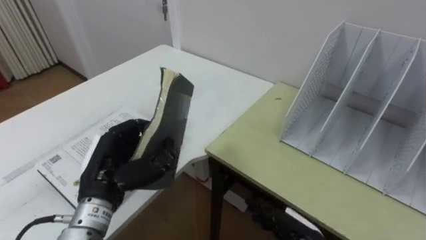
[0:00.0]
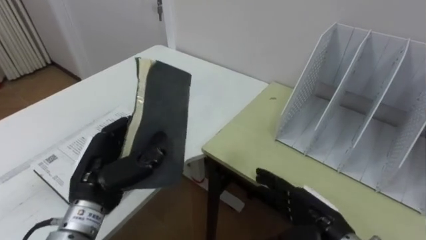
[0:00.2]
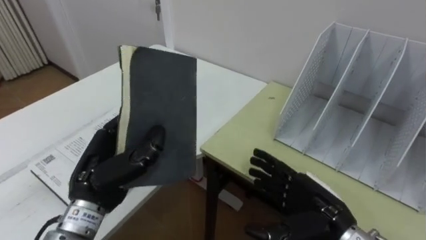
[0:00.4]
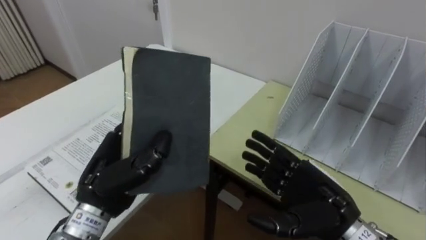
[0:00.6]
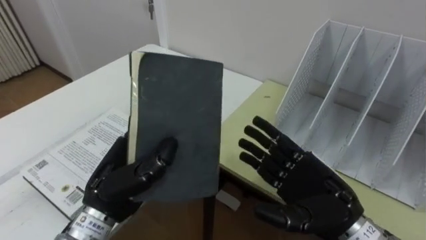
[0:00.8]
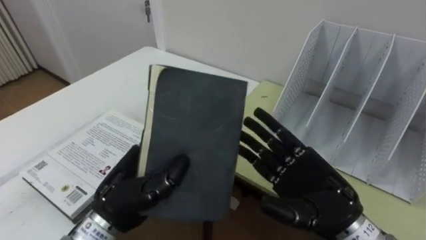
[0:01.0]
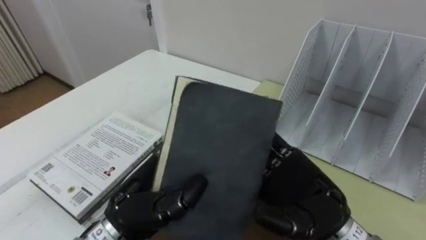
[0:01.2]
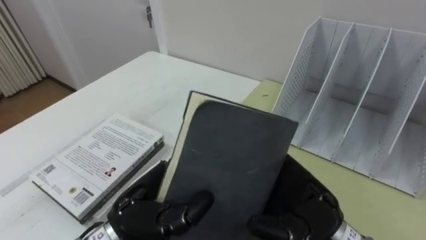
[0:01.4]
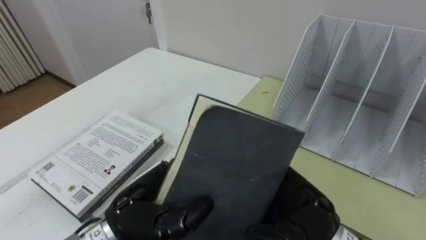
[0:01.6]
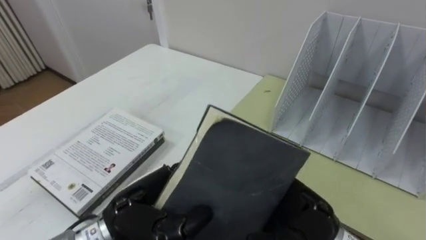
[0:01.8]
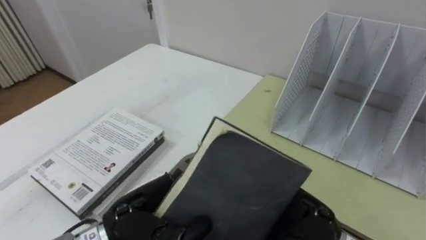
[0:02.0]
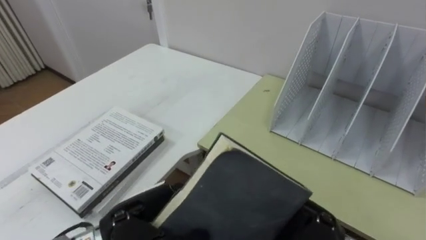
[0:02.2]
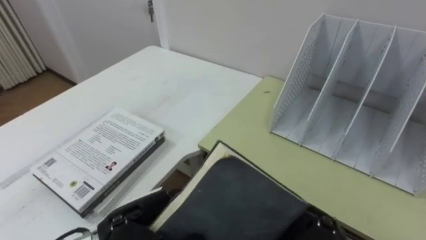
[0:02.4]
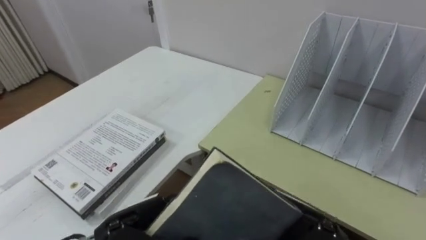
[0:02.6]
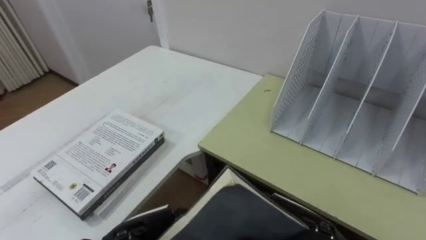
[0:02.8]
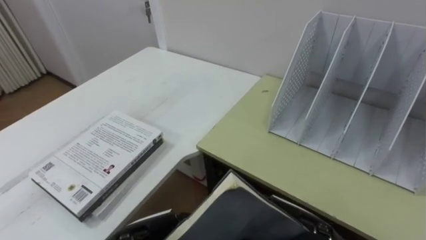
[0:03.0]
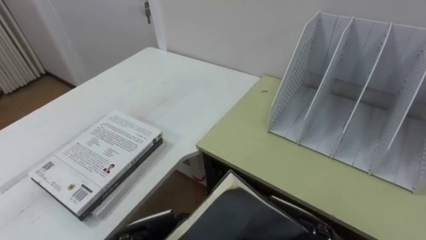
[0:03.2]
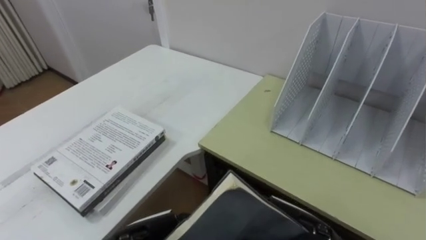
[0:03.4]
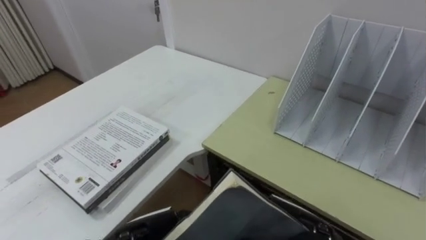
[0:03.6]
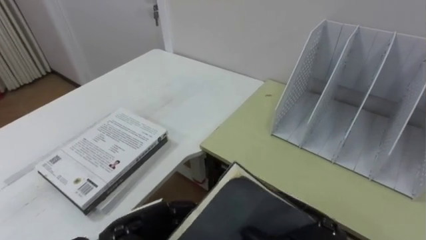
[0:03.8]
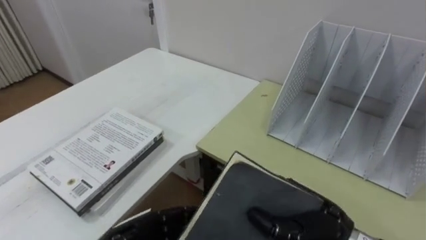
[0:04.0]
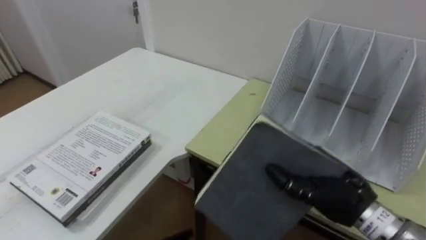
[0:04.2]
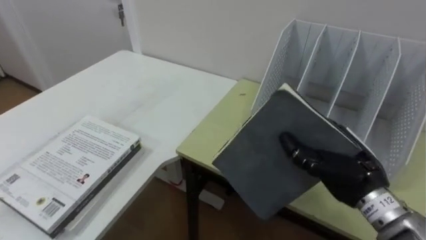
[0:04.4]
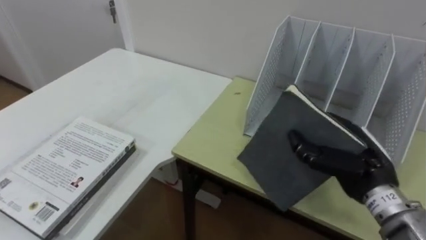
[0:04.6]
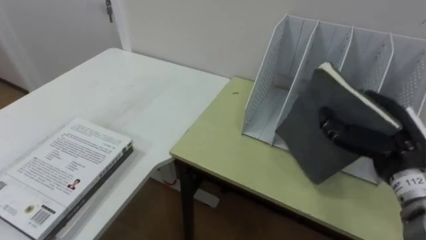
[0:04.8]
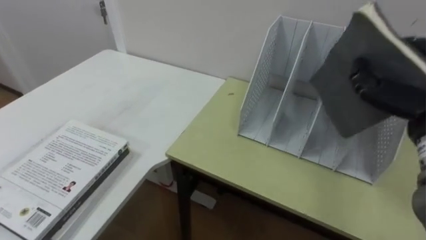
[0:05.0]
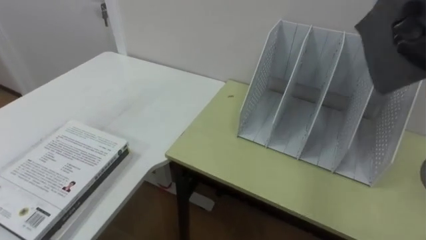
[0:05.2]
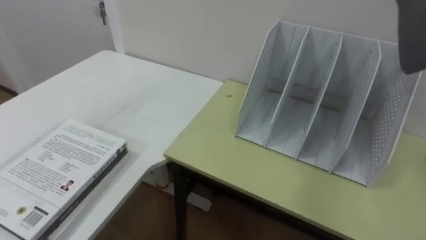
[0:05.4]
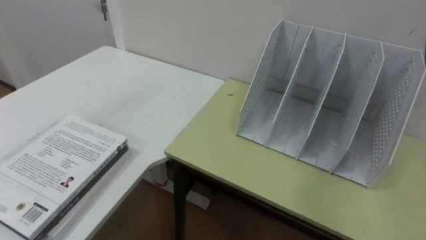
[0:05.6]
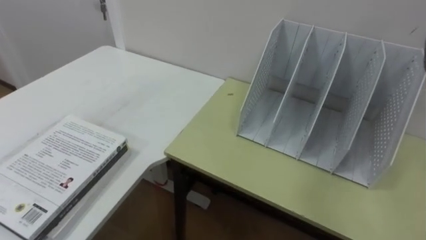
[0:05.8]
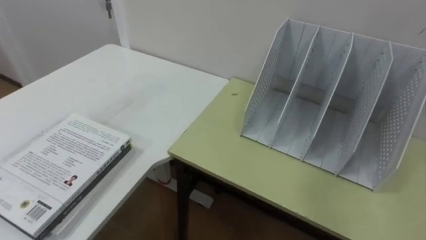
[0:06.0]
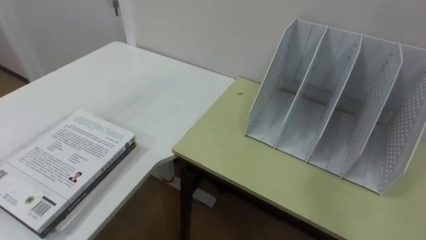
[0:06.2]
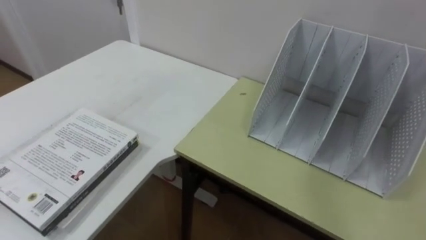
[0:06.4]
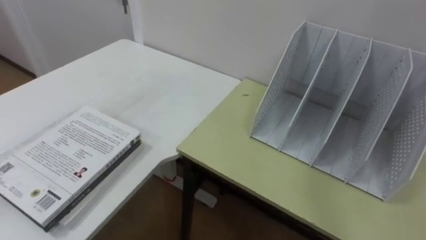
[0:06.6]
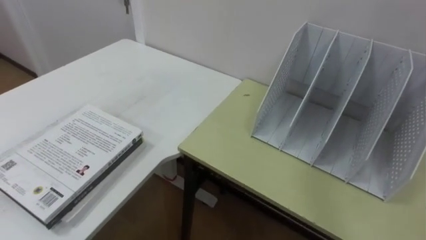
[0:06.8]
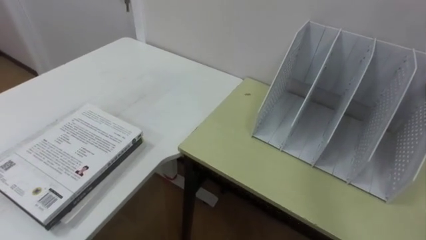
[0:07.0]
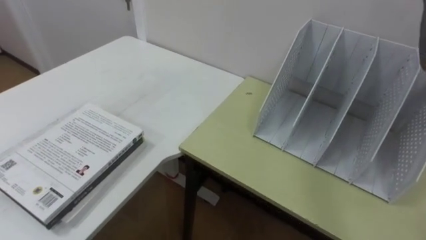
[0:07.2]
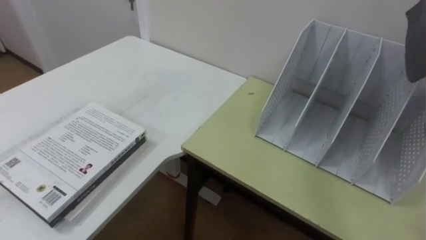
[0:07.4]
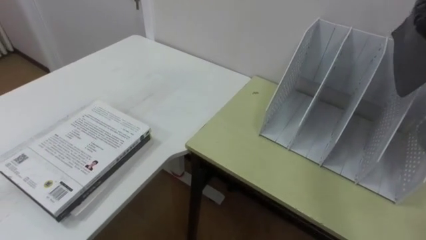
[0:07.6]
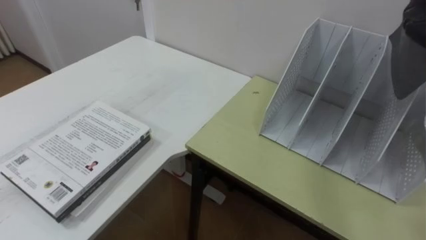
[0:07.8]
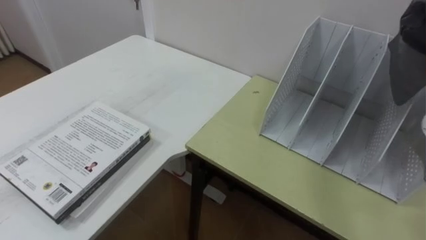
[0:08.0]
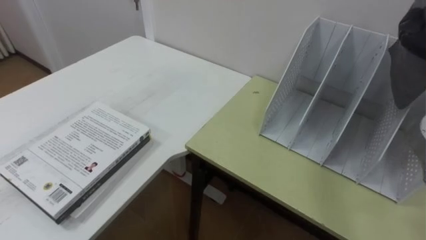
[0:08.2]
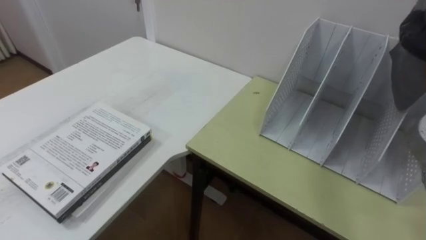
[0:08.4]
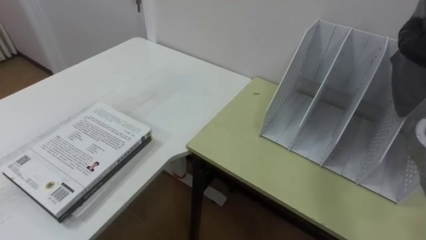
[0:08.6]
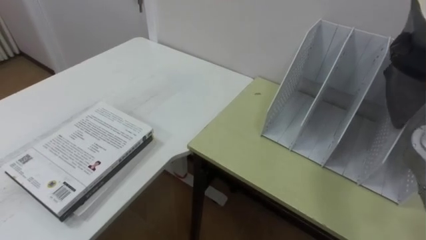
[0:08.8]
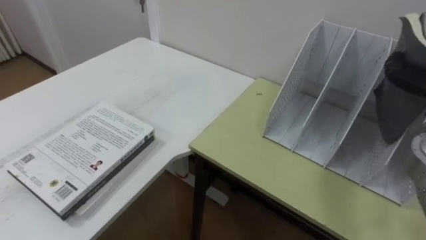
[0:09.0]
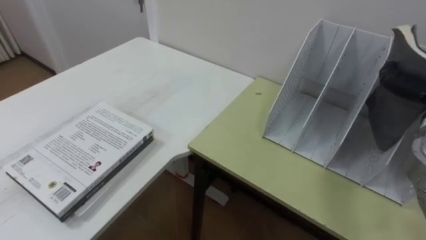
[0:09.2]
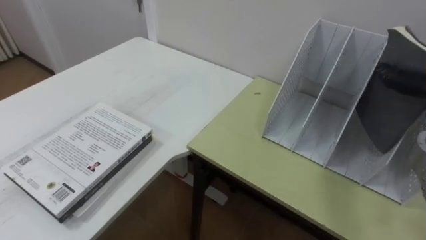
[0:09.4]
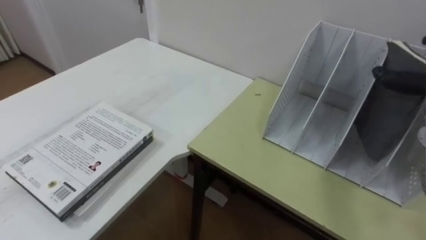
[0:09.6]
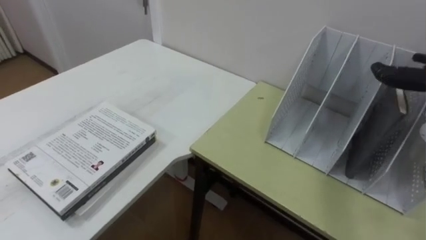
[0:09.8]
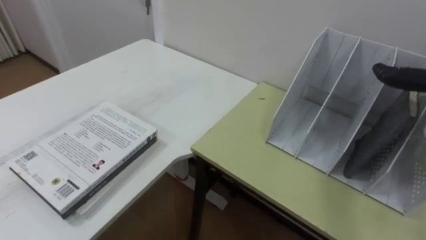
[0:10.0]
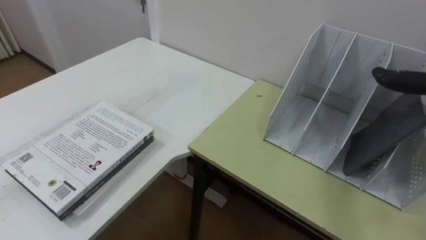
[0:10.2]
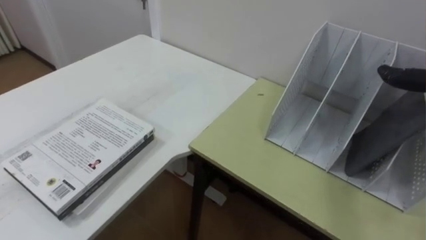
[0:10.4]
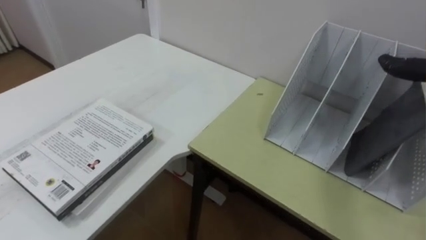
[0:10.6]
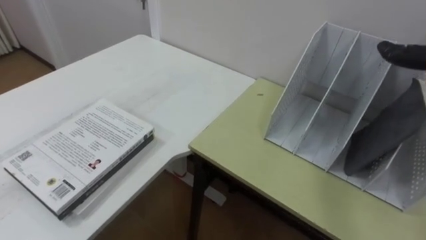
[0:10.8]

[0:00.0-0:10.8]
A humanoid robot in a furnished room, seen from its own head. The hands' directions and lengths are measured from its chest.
Task of the whole recording: Put the books on the table onto the bookshelf.
0:00.0 to 0:01.6: The right hand moves upward, approximately 15 cm. The left hand shifts roughly 10 cm to the right and backward.
0:01.6 to 0:03.0: The right hand changes place by about 5 cm, and closes up. The left hand heads downward, covering some 5 cm.
0:03.0 to 0:04.6: The right hand shifts approximately 15 cm to the right and forward.

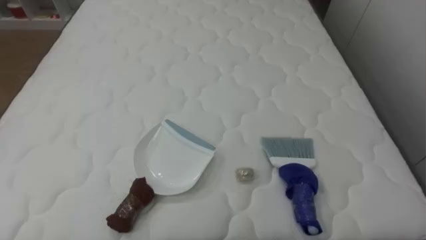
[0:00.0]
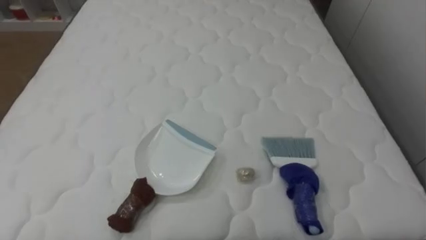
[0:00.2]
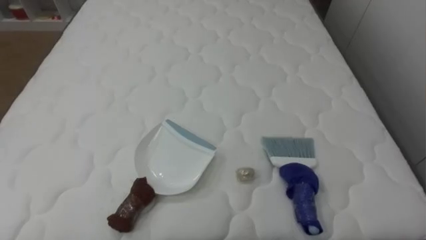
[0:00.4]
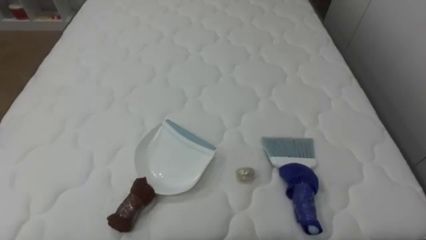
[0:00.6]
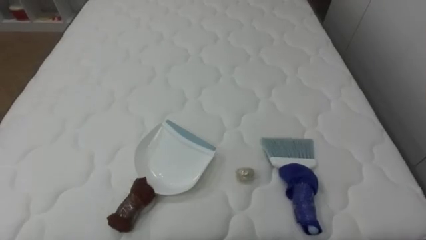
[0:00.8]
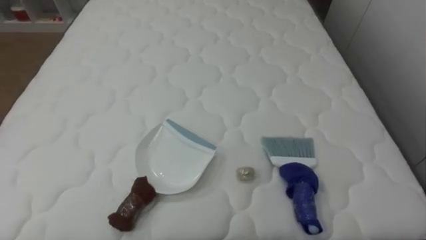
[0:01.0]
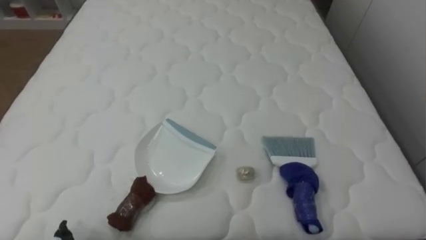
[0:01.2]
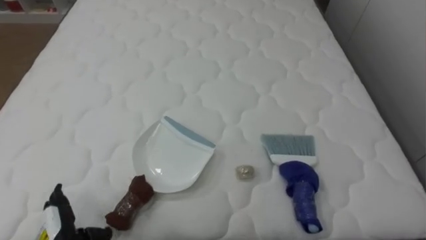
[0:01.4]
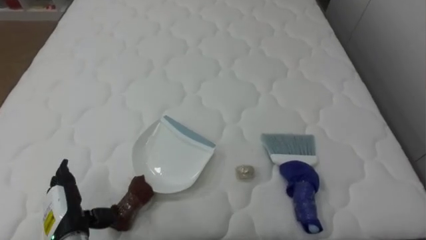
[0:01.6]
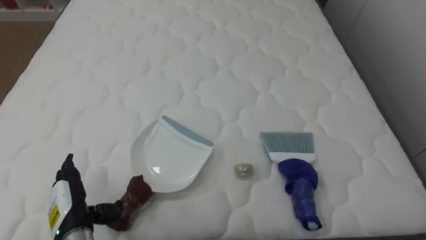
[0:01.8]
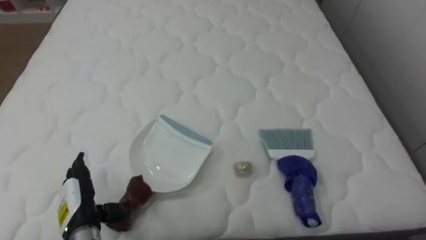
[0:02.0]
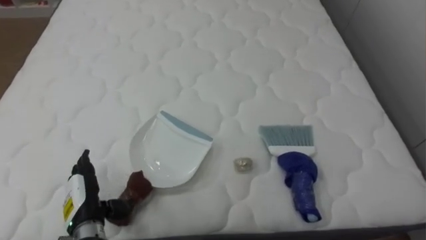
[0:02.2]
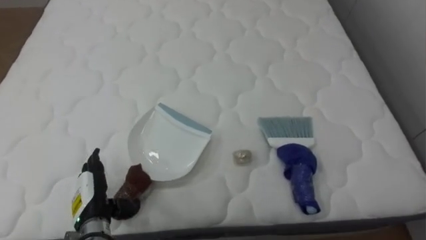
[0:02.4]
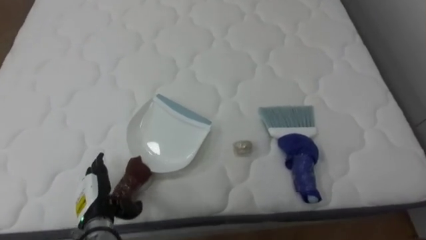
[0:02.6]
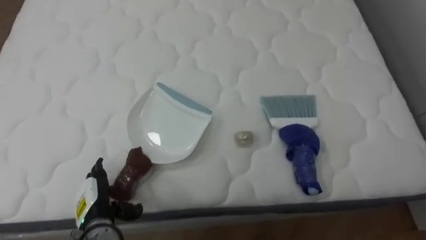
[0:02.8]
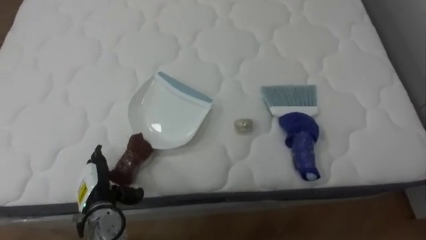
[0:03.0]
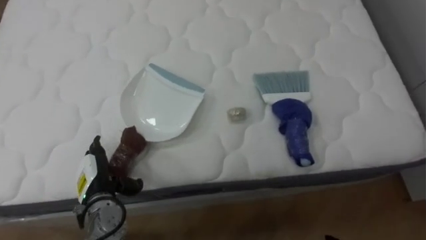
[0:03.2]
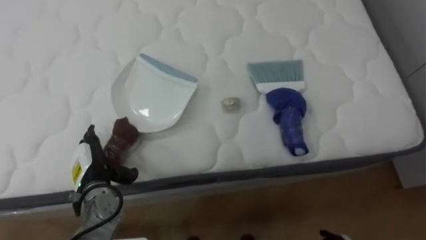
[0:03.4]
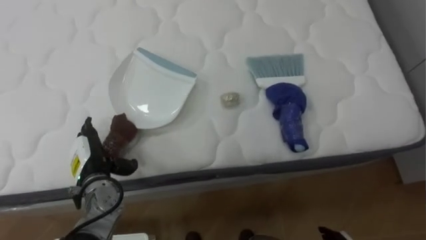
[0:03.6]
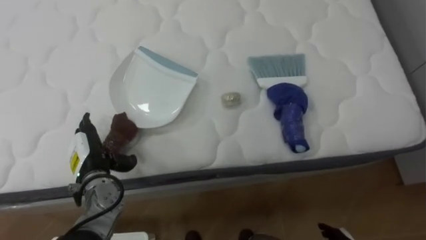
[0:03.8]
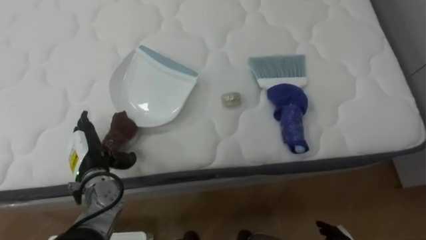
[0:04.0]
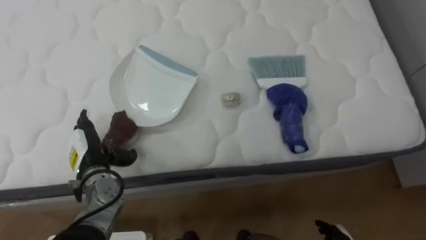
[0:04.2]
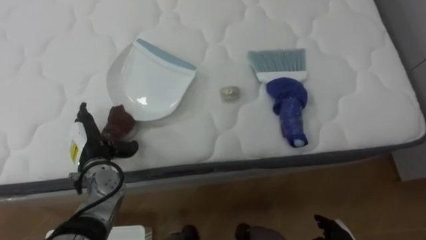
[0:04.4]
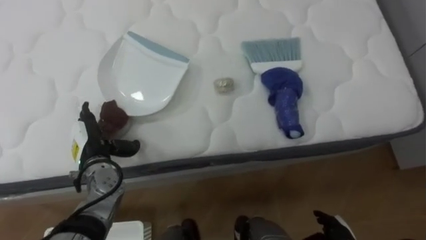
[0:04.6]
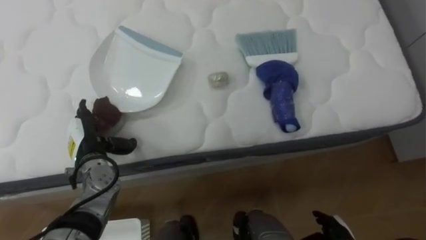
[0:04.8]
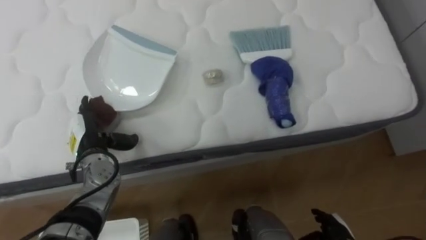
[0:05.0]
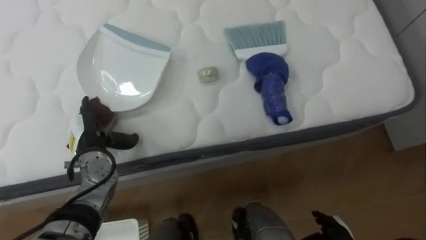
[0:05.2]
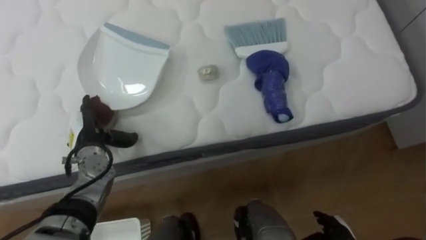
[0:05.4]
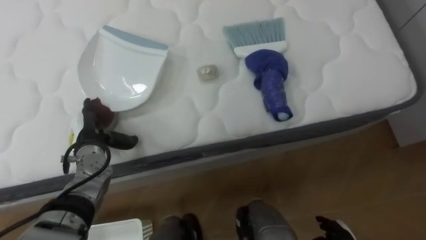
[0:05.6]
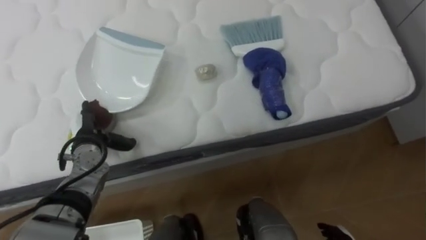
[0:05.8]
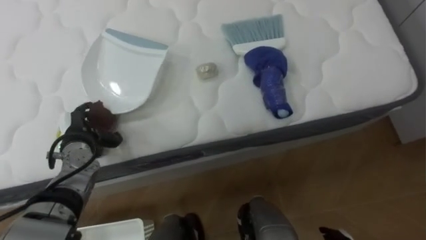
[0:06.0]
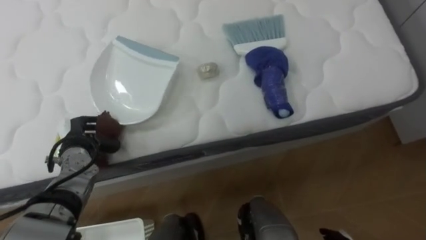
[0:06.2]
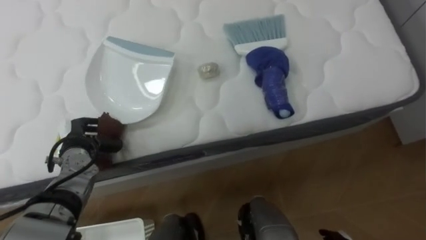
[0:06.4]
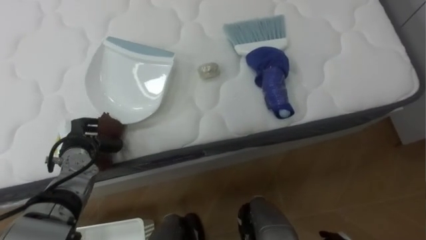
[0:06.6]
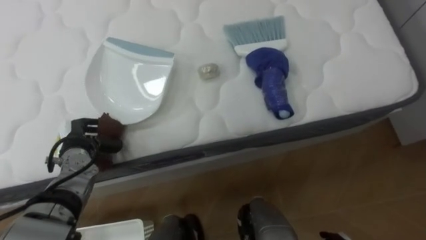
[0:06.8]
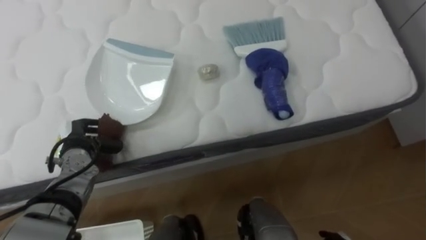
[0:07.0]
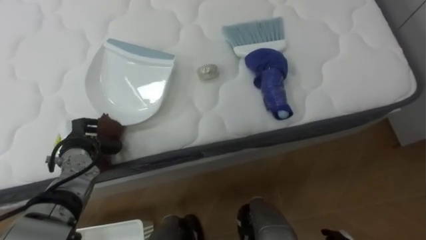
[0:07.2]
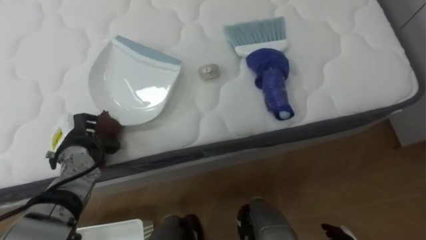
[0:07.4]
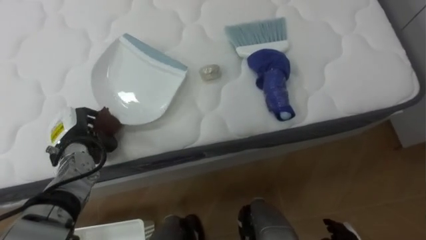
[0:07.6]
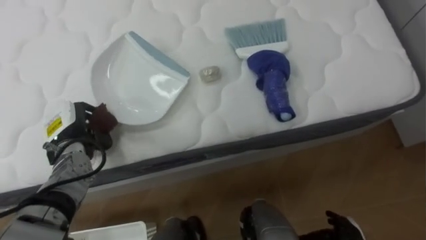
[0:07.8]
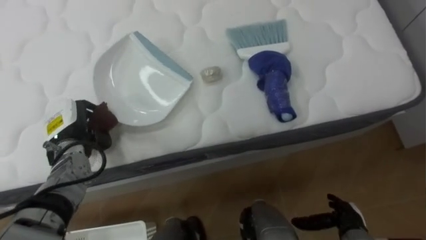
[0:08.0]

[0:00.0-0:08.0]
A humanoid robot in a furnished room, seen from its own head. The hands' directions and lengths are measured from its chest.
Task of the whole recording: Pick up the brush on your right and the dustpan on your left. Use the brush to sweep the crumpled paper on the bed into the dustpan, then turn left and empty it into the basket.
0:01.6 to 0:03.2: The left hand is displaced forward by some 5 cm.
0:03.2 to 0:04.8: The left hand moves forward and upward, approximately 10 cm.
0:04.8 to 0:06.4: The left hand closes its fingers.
